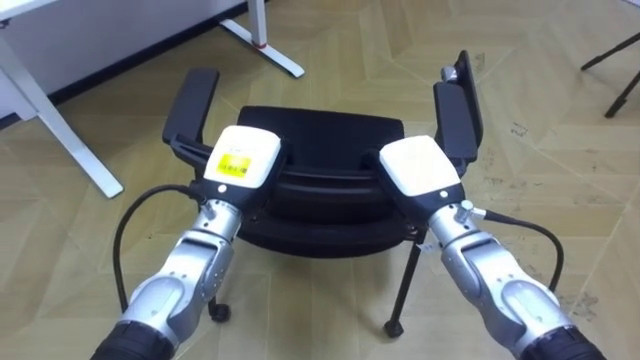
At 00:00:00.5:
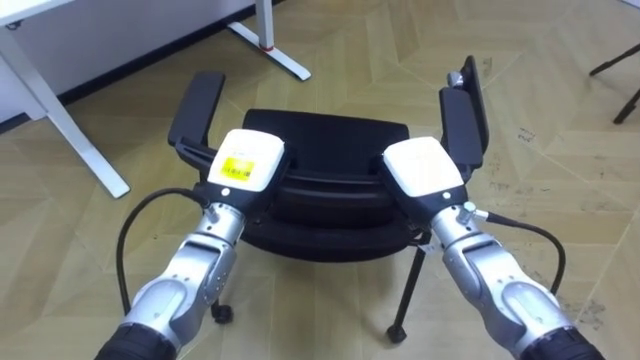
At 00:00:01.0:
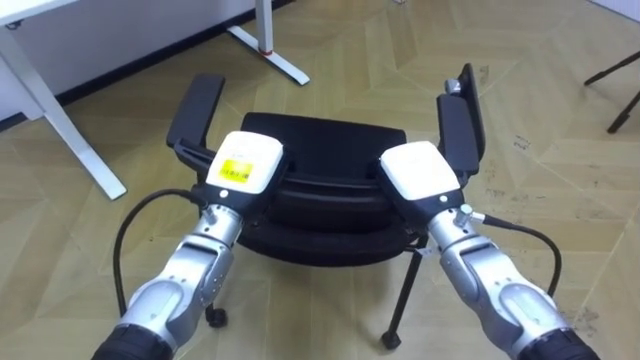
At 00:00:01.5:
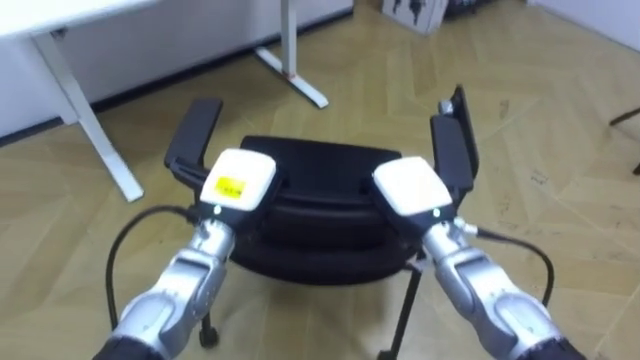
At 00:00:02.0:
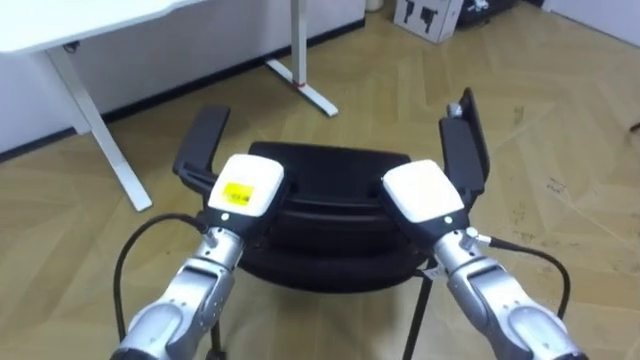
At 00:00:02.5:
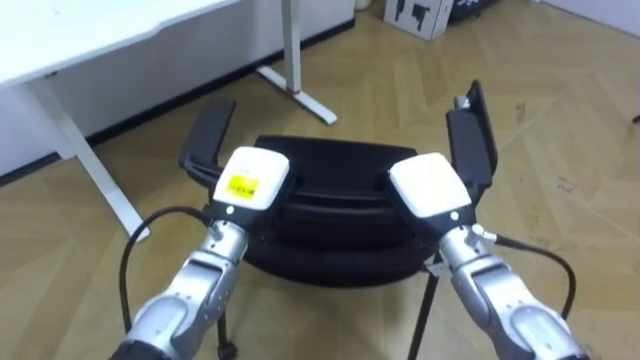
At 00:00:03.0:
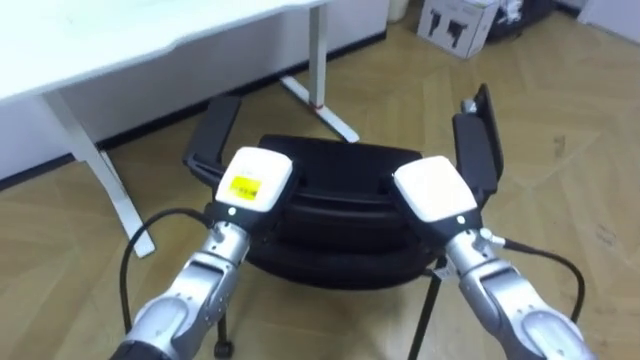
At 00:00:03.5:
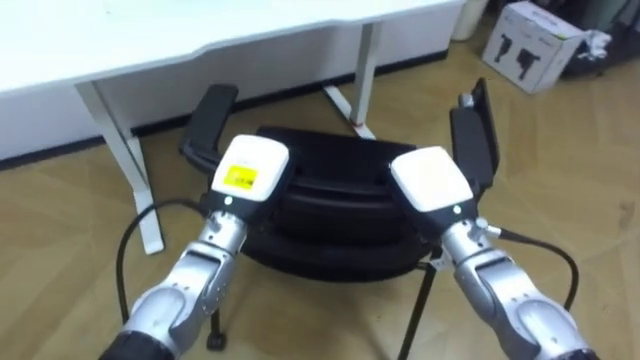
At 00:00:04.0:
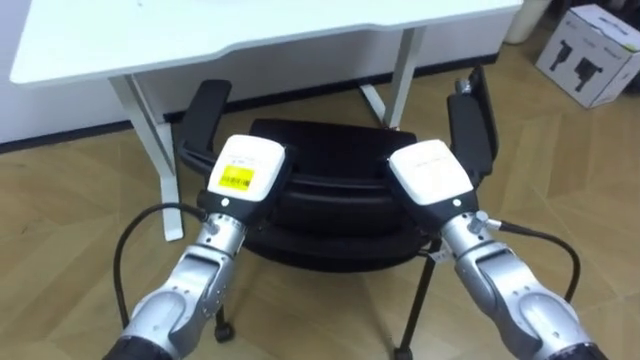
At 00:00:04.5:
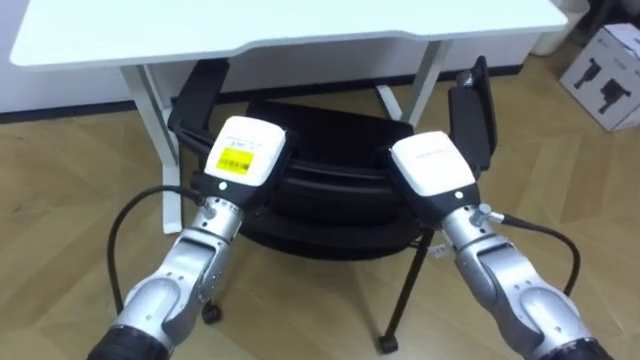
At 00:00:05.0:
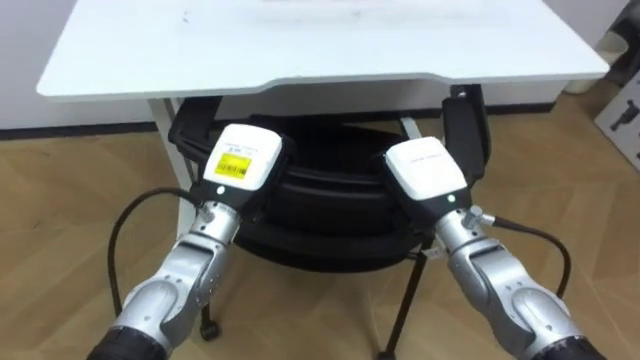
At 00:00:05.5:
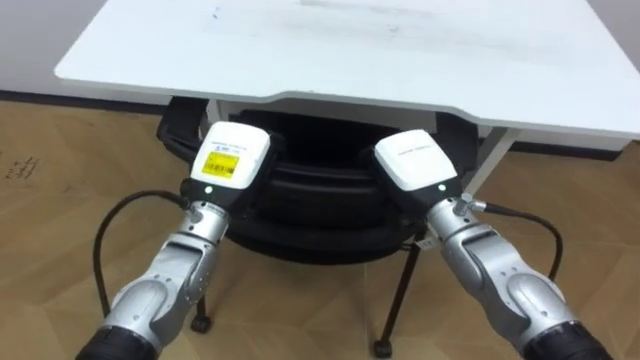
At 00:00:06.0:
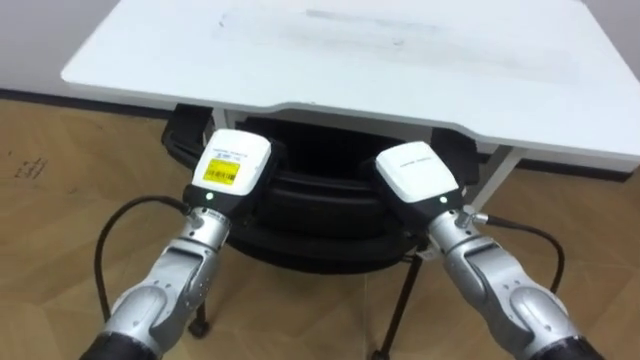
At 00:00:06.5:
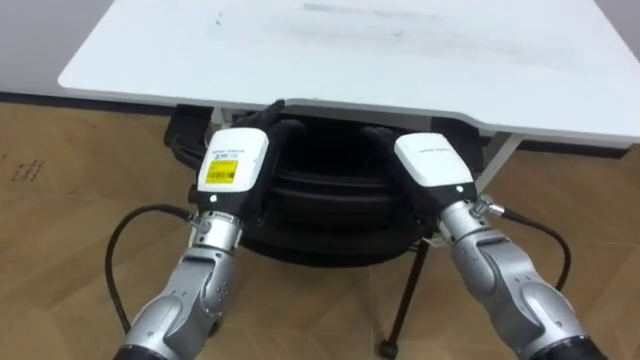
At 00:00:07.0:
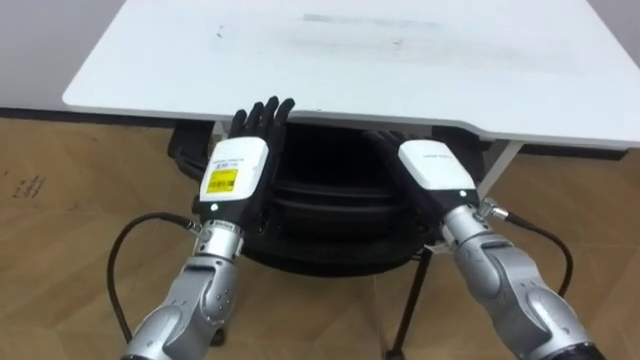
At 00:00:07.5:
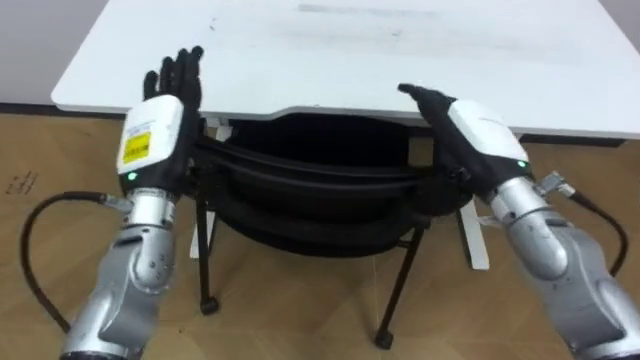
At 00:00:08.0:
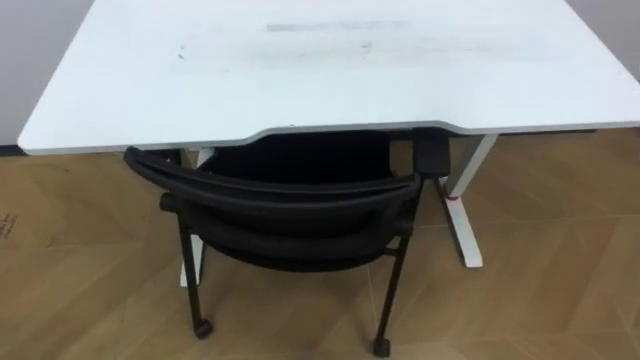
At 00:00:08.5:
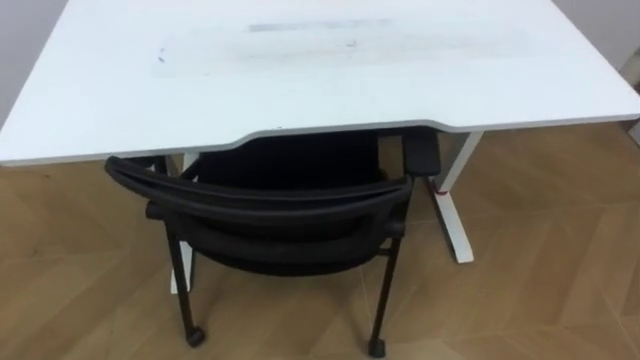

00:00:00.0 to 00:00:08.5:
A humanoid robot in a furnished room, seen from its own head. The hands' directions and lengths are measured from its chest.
Task of the whole recording: Push the chair under the table.
00:00:02.0 to 00:00:04.0: The robot's body swings some 20 degrees to its left.
00:00:04.0 to 00:00:06.5: The robot rotates about 20 degrees to its left. The right hand opens. The left hand opens.

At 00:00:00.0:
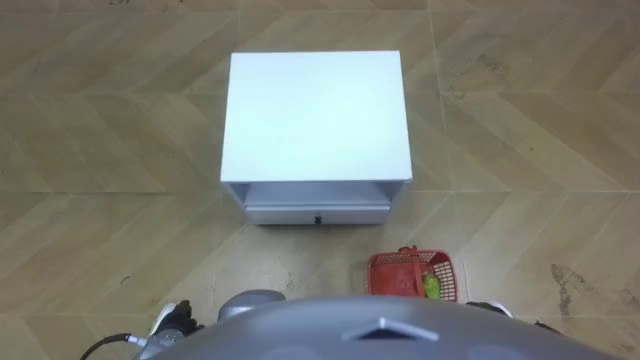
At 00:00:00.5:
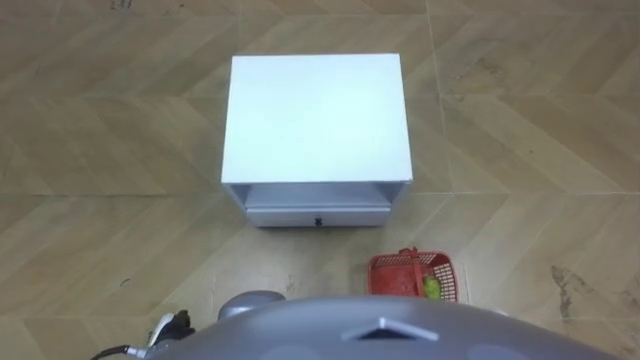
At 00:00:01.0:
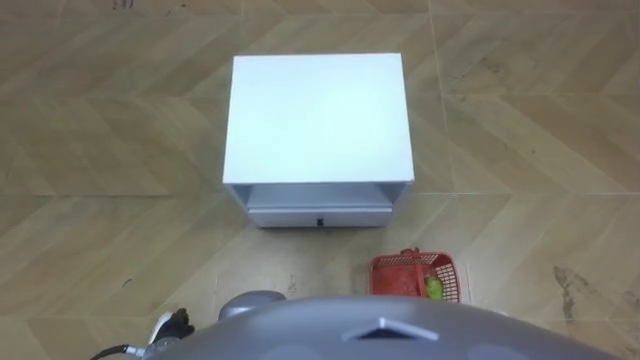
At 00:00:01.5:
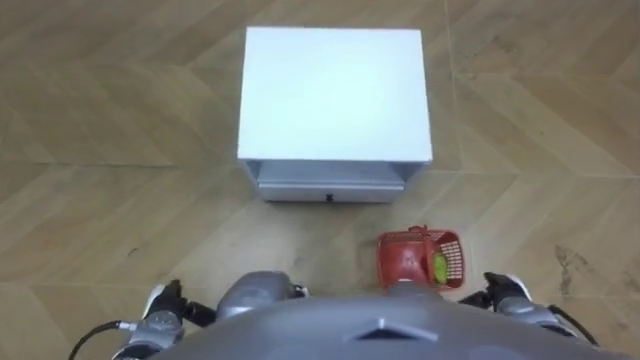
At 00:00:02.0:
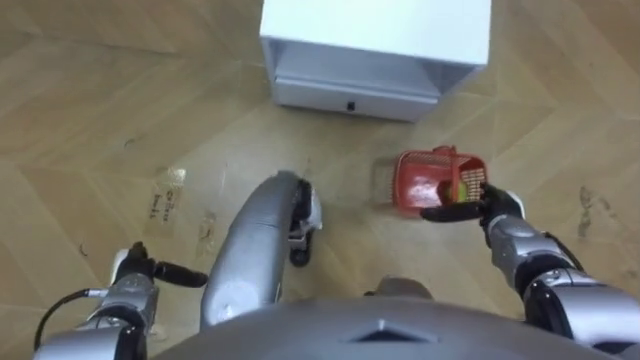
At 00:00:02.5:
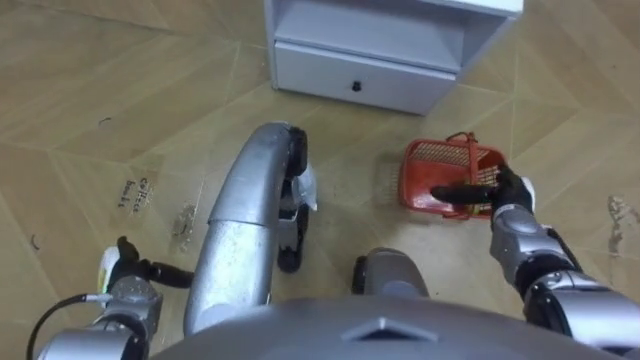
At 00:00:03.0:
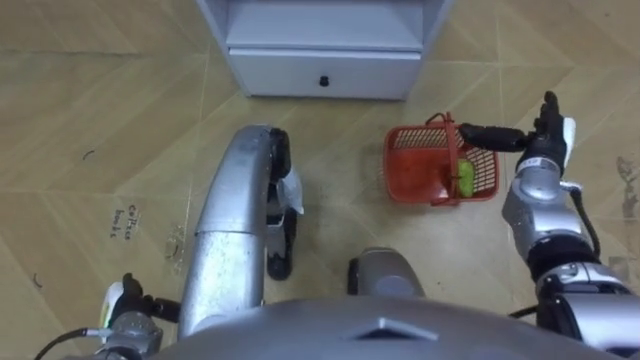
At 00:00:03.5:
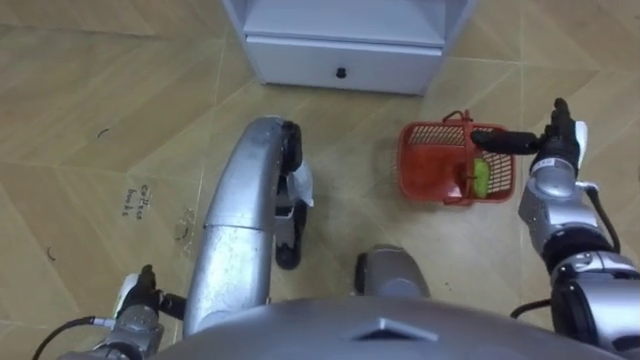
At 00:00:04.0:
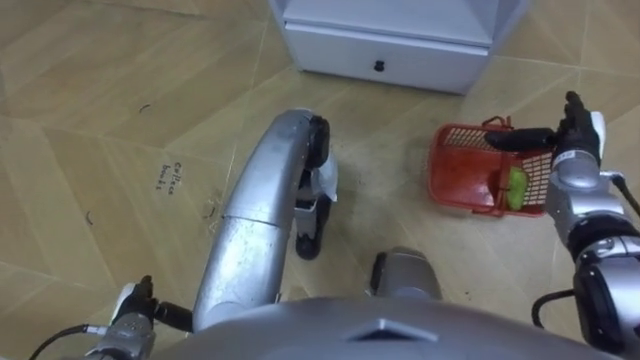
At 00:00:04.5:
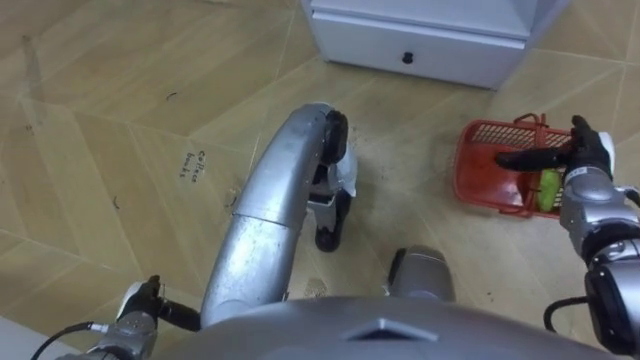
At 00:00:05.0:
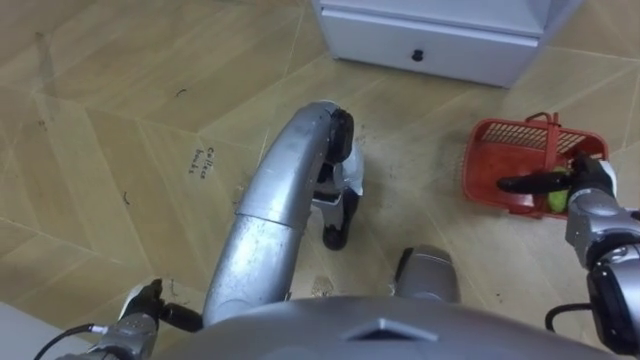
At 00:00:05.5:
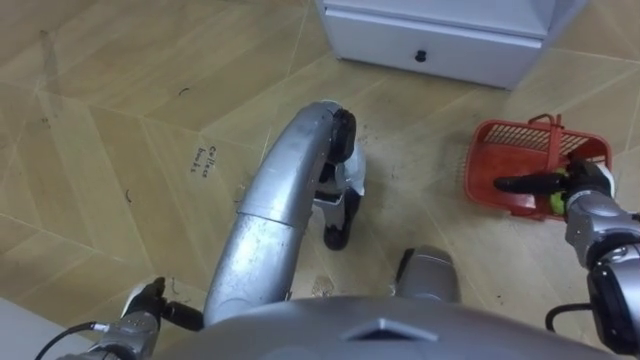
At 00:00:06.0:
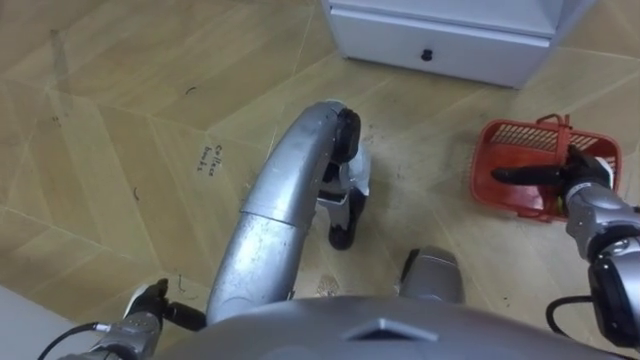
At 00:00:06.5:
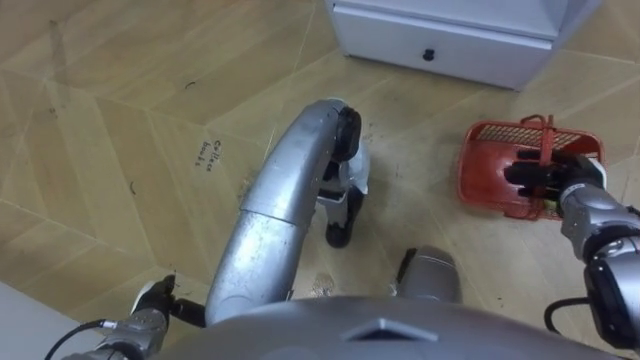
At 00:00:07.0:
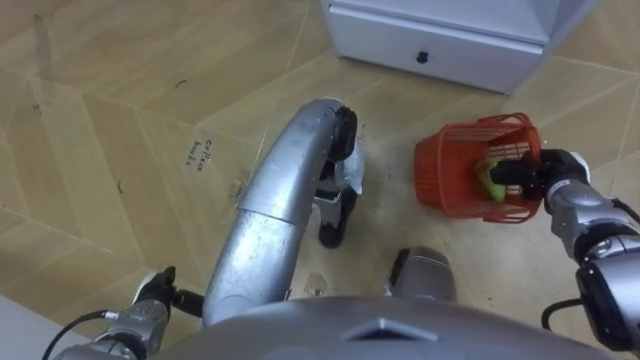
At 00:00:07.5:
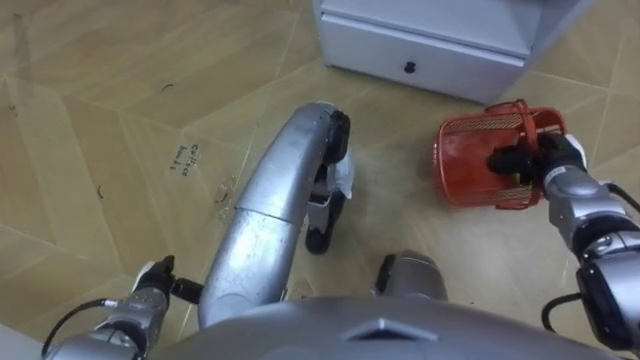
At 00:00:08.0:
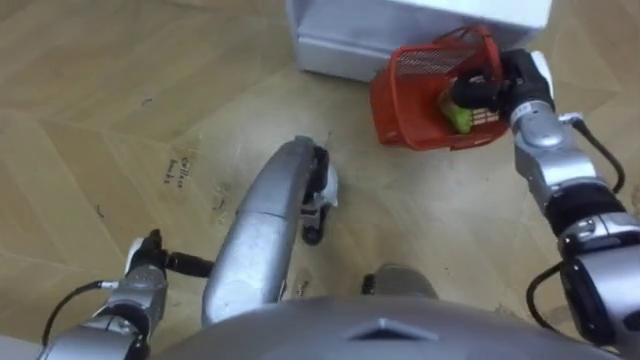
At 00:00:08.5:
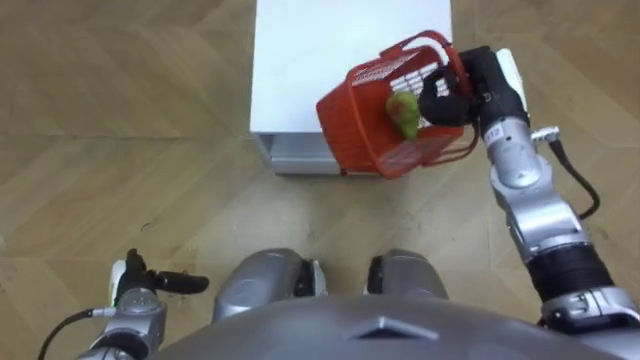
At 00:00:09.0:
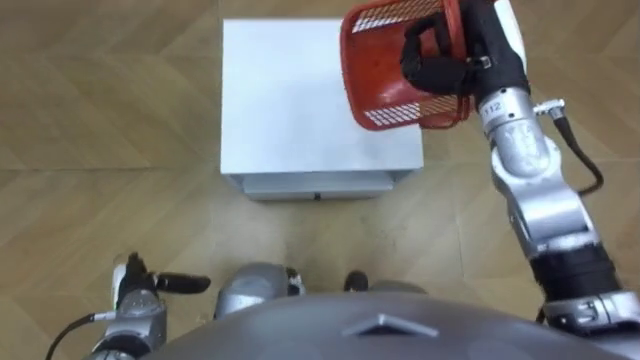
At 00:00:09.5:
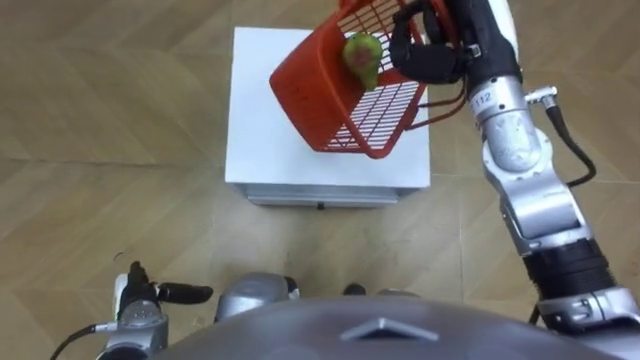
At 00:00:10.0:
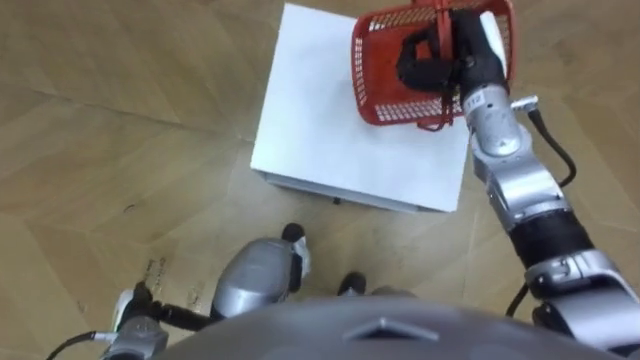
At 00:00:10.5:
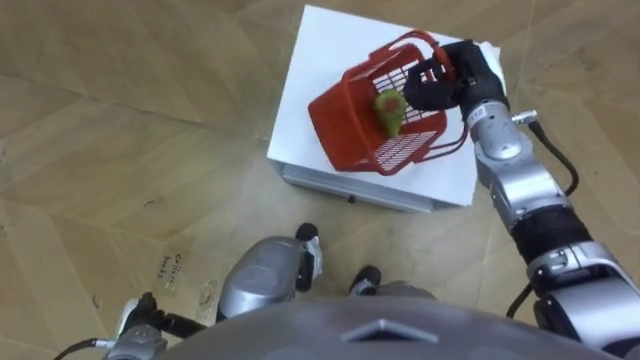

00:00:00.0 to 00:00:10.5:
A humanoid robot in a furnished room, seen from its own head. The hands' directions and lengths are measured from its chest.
Task of the whole recording: Pick up the fruit basket from the floor and place it on the cabinet.
00:00:02.0 to 00:00:04.0: The right hand moves forward, upward and to the right, about 15 cm.
00:00:04.0 to 00:00:06.5: The right hand moves some 5 cm, and closes.
00:00:06.5 to 00:00:08.5: The right hand goes roughly 20 cm to the left, upward and forward.
00:00:08.5 to 00:00:10.5: The right hand goes upward and returns, about 10 cm each way; the left hand heads backward, covering roughly 5 cm.

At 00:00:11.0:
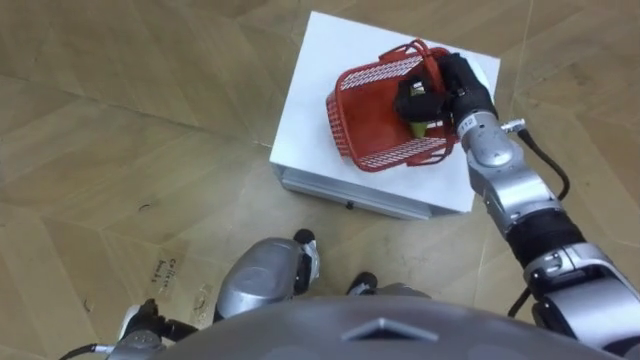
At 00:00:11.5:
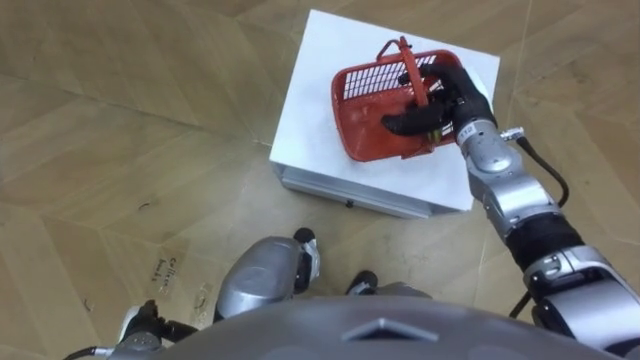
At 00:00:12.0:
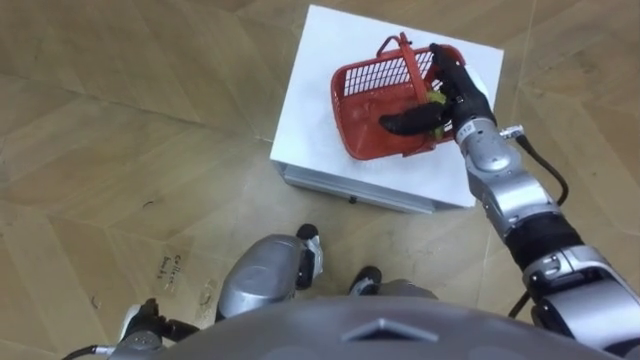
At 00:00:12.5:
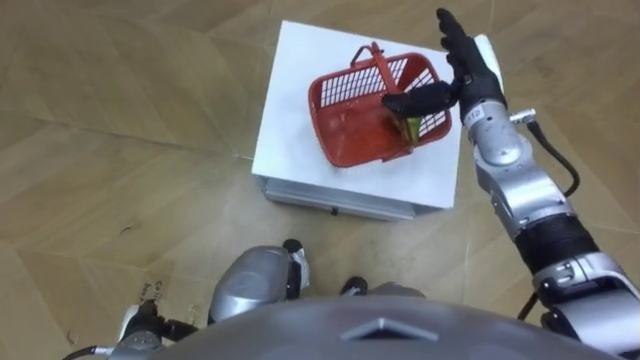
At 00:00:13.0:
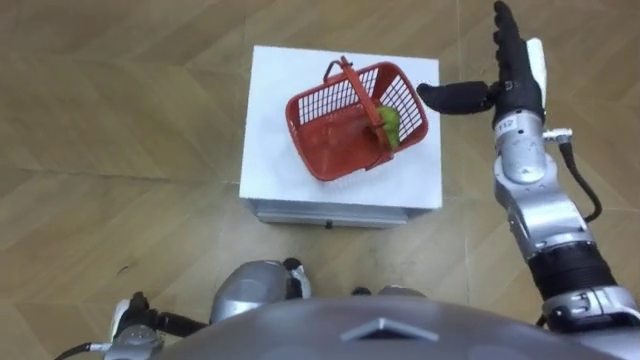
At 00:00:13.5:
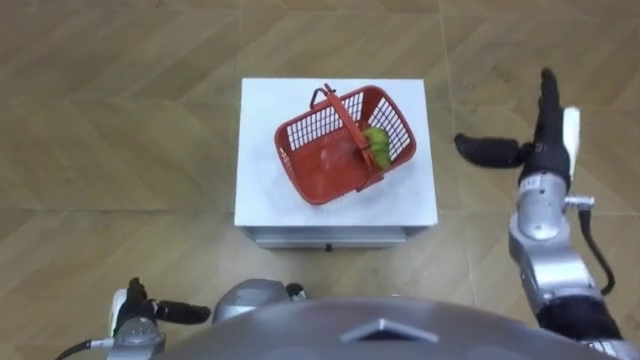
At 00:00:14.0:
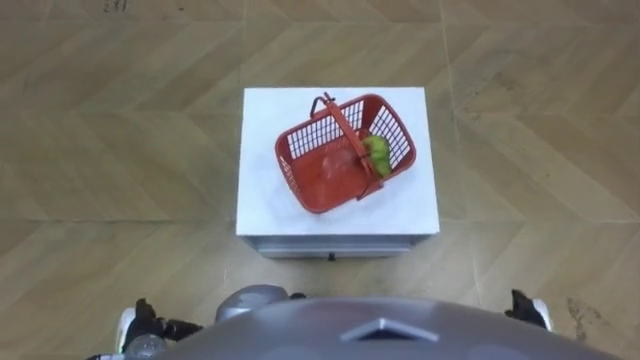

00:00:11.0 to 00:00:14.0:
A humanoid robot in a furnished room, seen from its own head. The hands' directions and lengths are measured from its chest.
Task of the whole recording: Pick up the fruit basket from the floor and place it on the cabinet.
00:00:11.0 to 00:00:12.5: The right hand opens its fingers.
00:00:12.5 to 00:00:14.0: The right hand shifts about 35 cm backward and downward.
